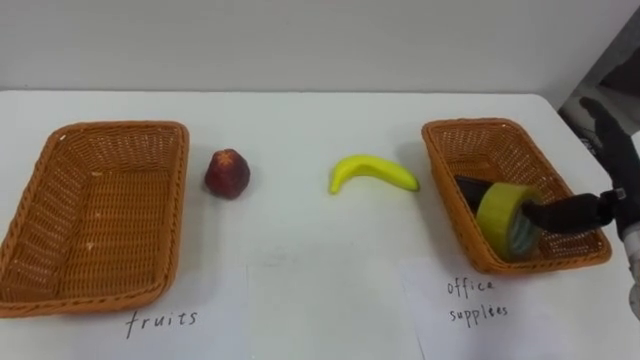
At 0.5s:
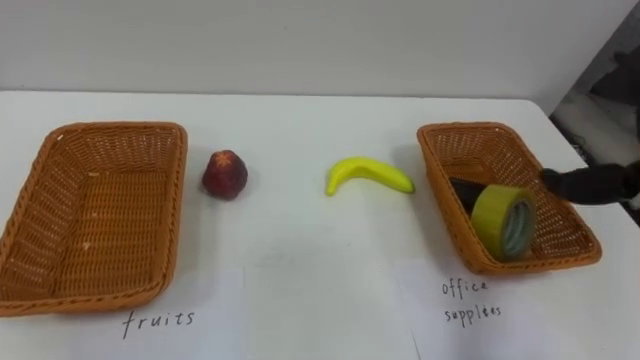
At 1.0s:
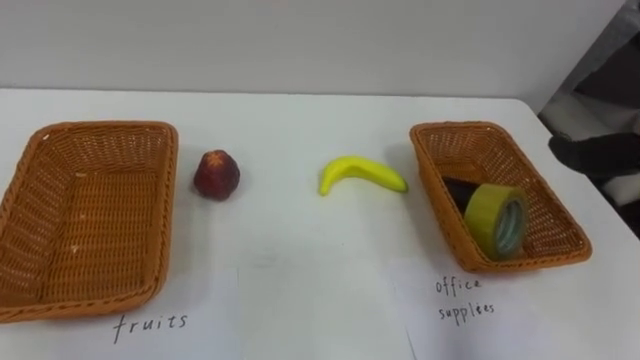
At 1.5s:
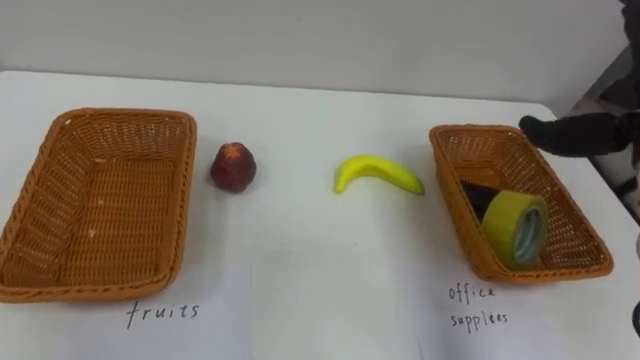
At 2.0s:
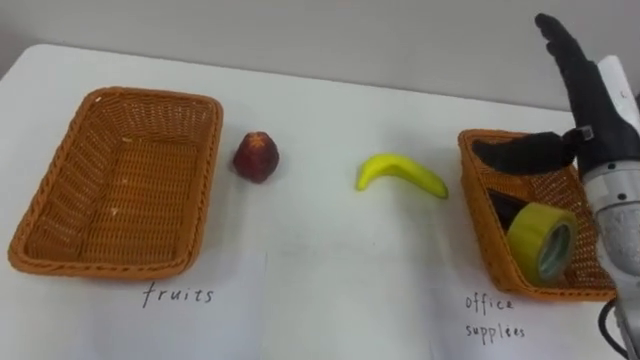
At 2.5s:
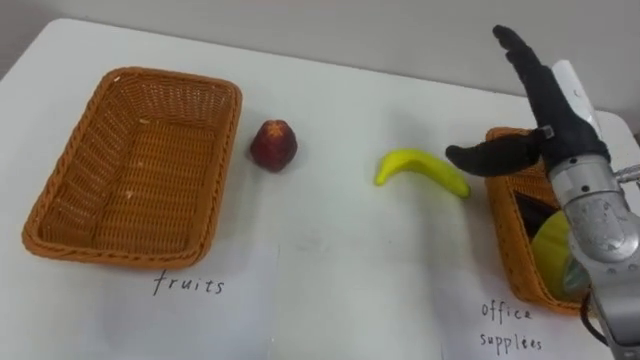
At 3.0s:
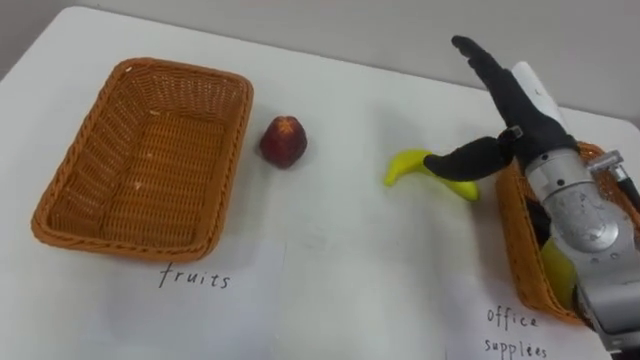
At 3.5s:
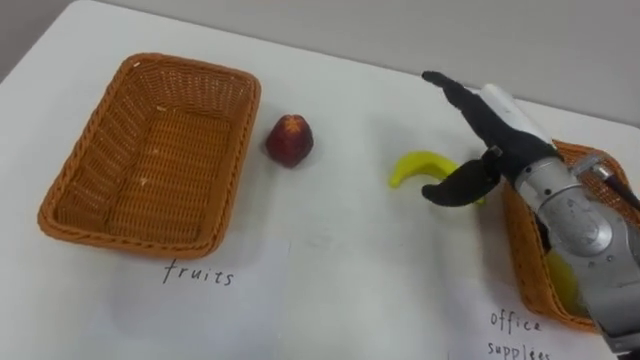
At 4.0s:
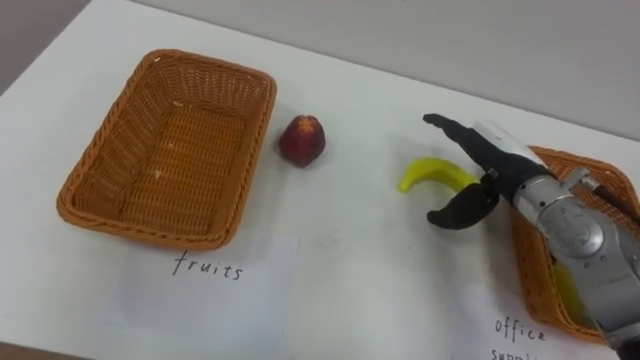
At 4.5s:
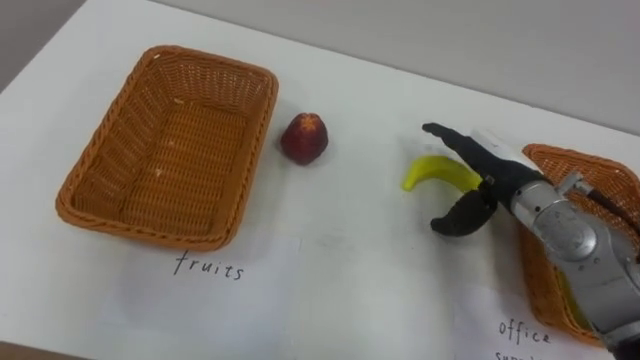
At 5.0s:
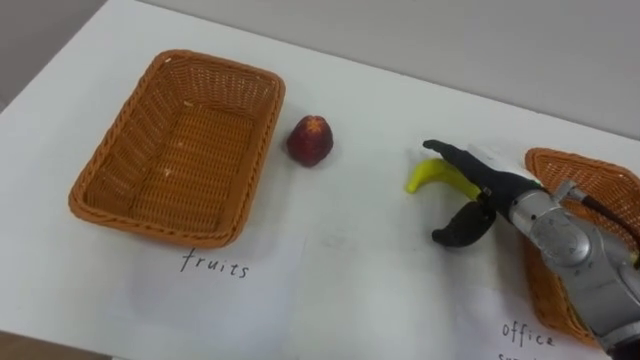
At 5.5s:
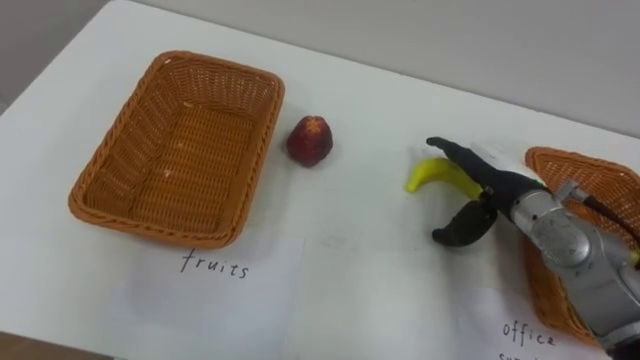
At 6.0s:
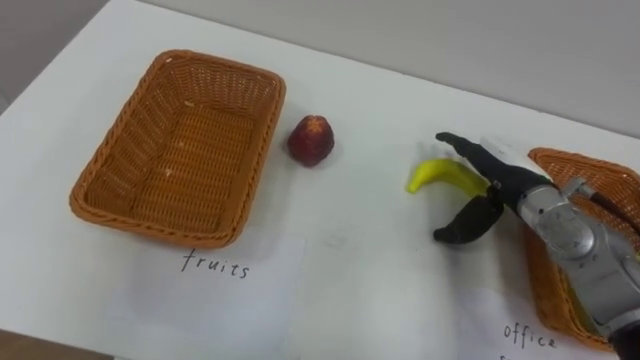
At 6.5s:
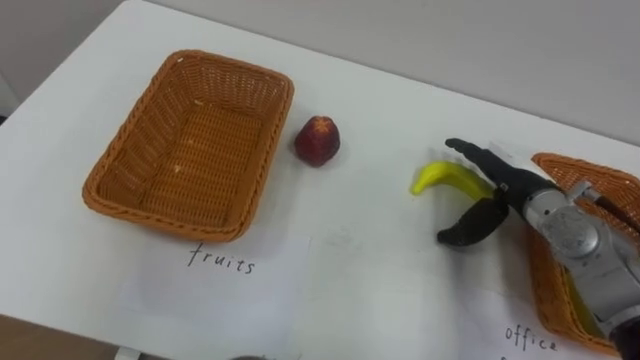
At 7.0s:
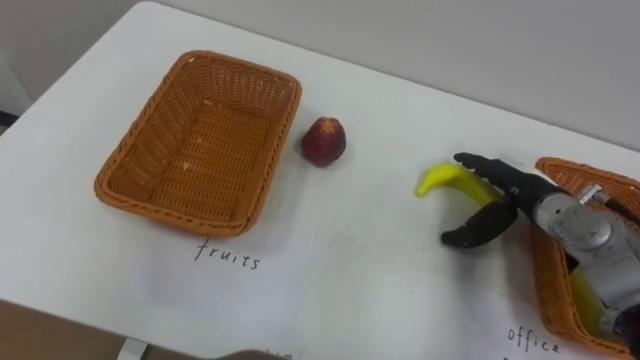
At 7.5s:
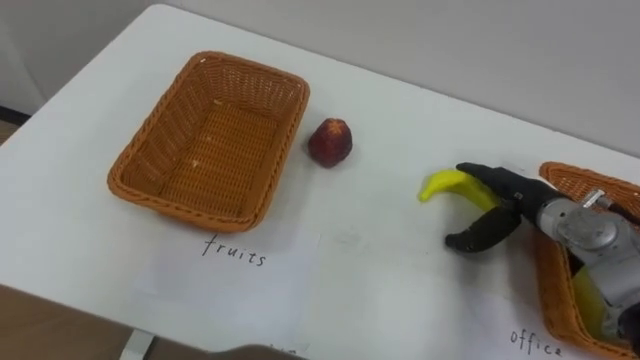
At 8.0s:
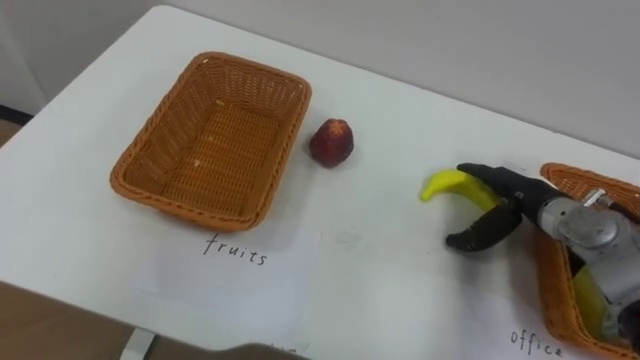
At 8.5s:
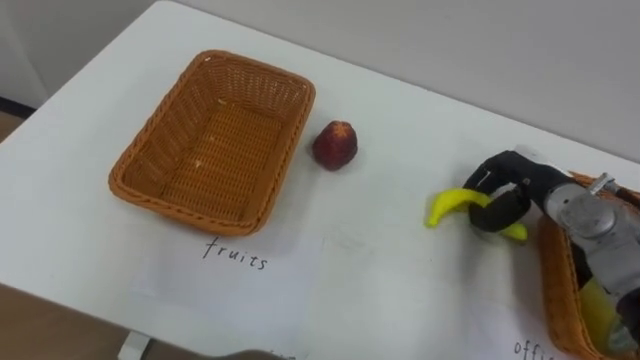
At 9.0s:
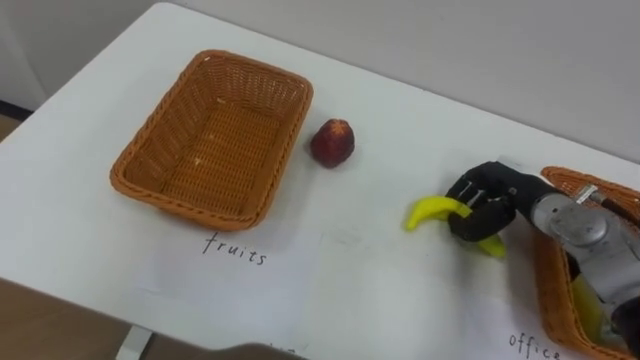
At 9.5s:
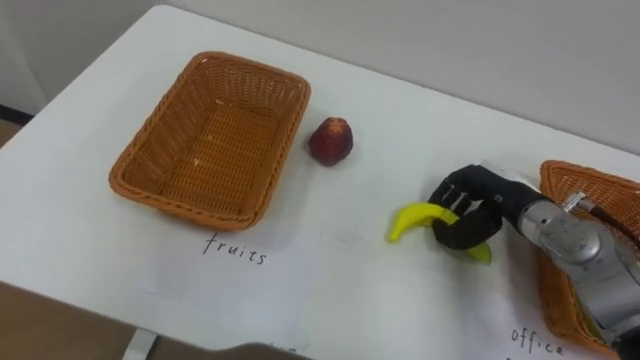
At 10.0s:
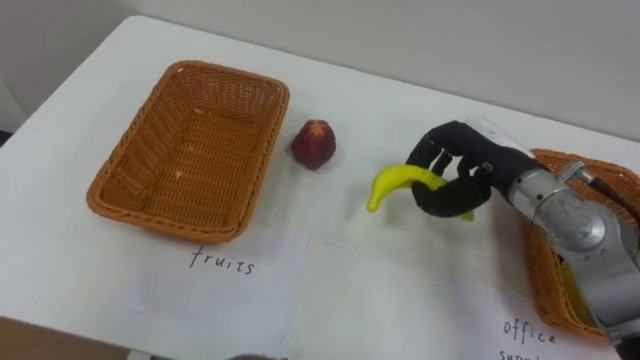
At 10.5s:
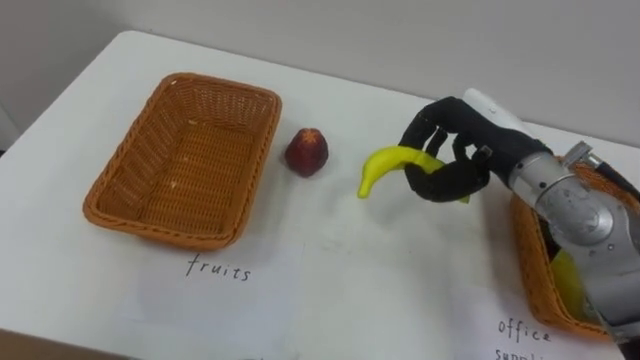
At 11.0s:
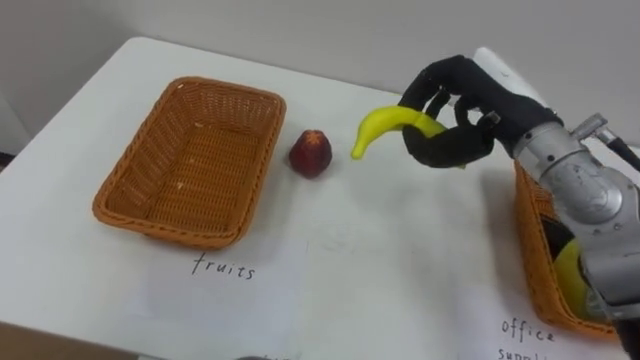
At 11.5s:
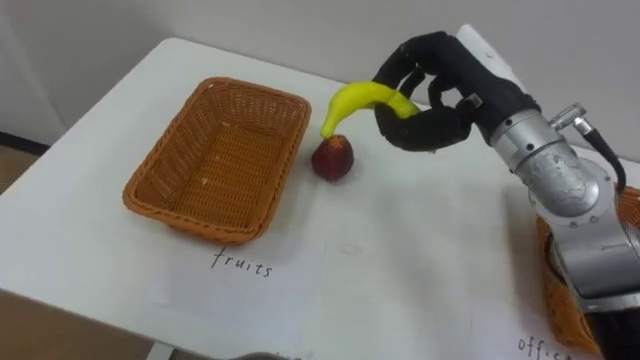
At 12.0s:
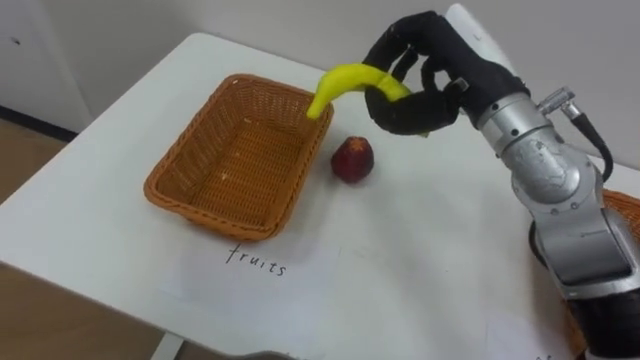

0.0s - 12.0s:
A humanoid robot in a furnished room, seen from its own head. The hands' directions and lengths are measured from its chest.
Task of the whole recording: Separate the items on the table and place them into the two baskets.
2.0s - 4.0s: The right hand travels downward and to the left by approximately 10 cm.
6.0s - 8.0s: The right hand travels downward by some 5 cm.
8.0s - 10.0s: The right hand goes approximately 10 cm upward and to the left, and closes up.
10.0s - 12.0s: The right hand shifts about 15 cm upward and to the left.

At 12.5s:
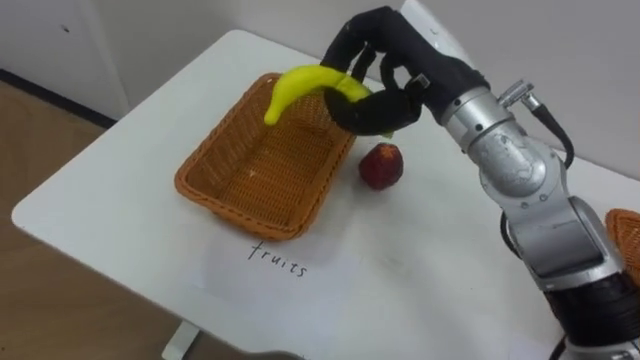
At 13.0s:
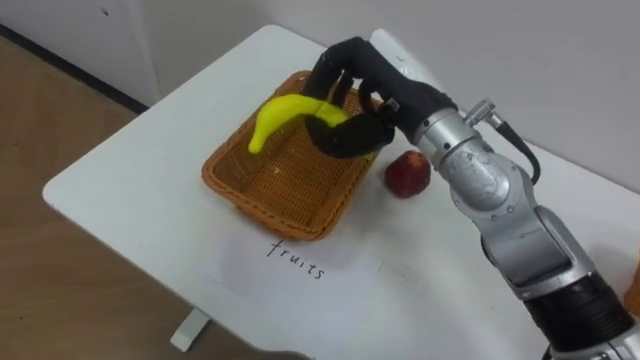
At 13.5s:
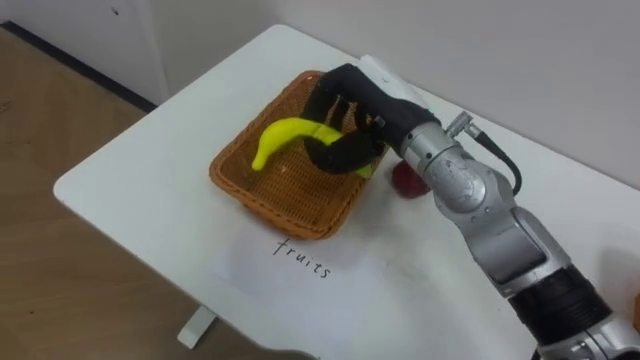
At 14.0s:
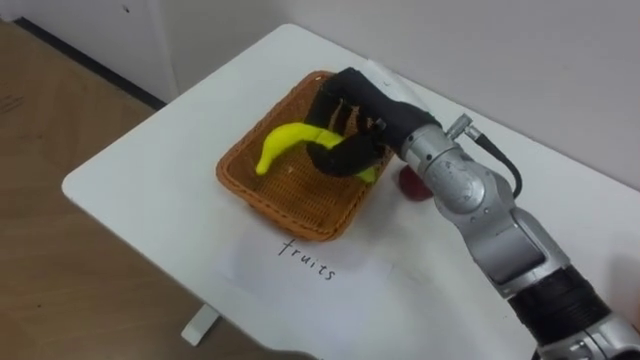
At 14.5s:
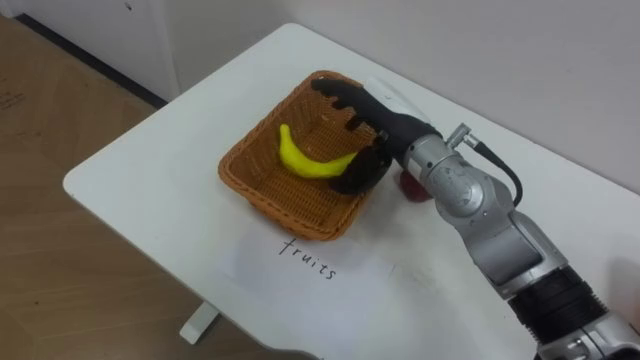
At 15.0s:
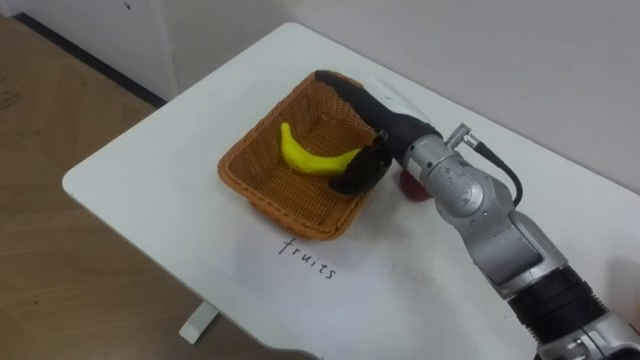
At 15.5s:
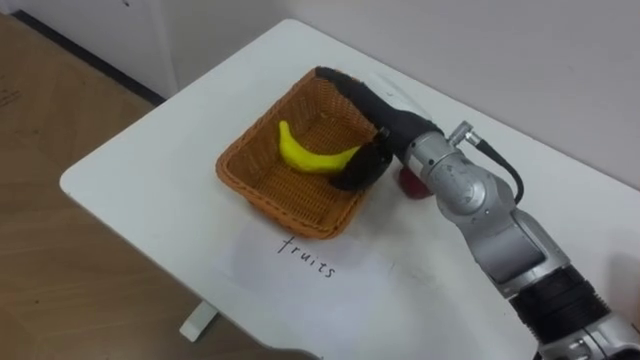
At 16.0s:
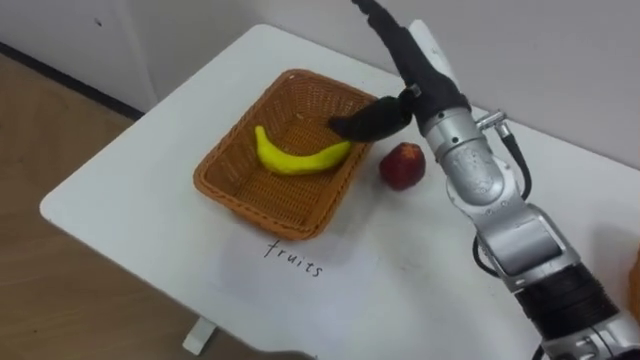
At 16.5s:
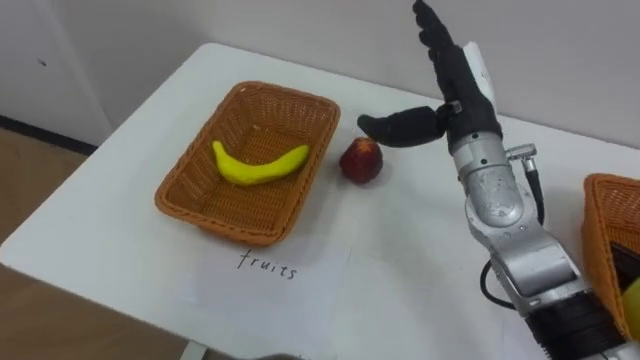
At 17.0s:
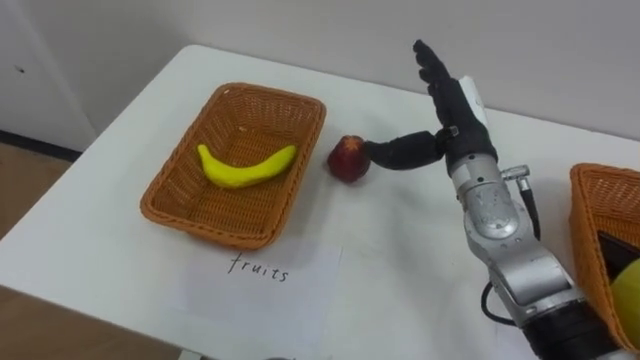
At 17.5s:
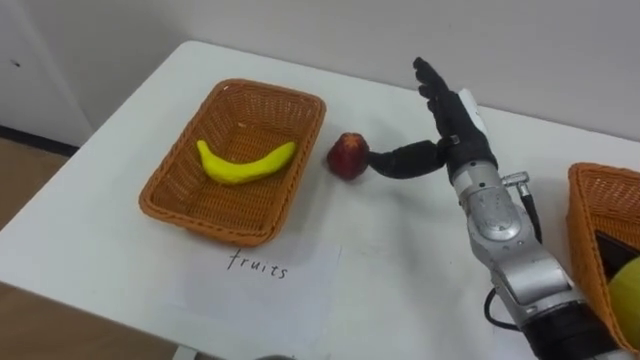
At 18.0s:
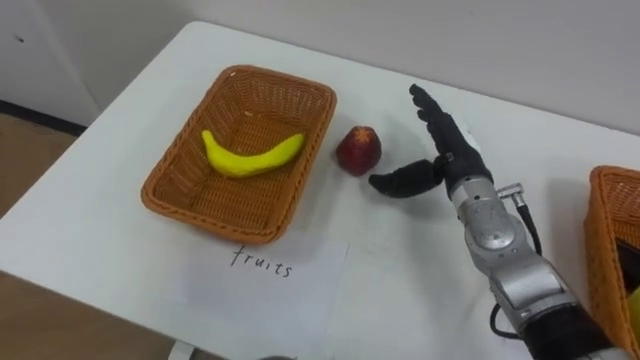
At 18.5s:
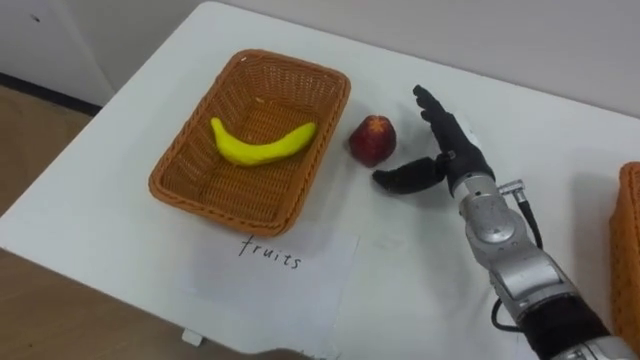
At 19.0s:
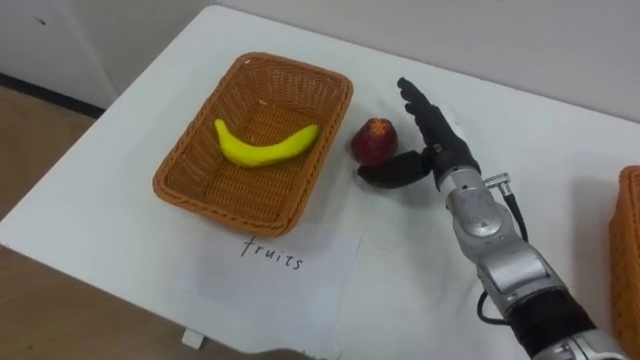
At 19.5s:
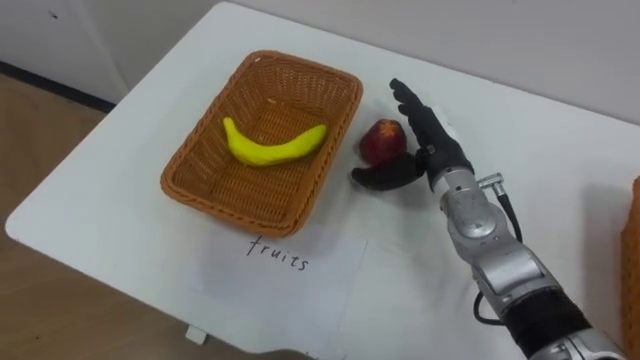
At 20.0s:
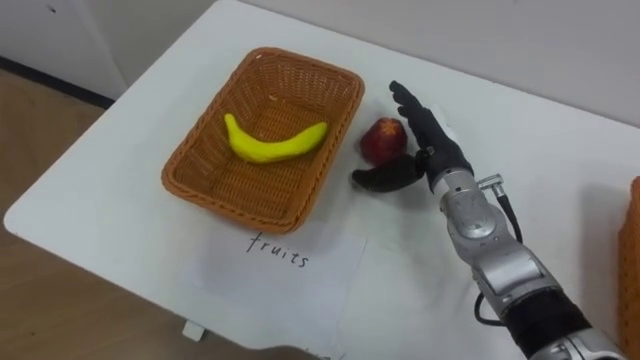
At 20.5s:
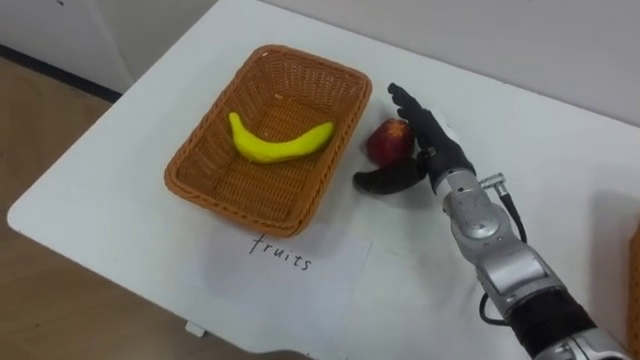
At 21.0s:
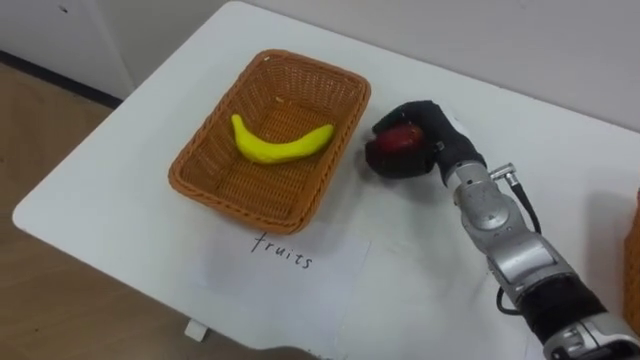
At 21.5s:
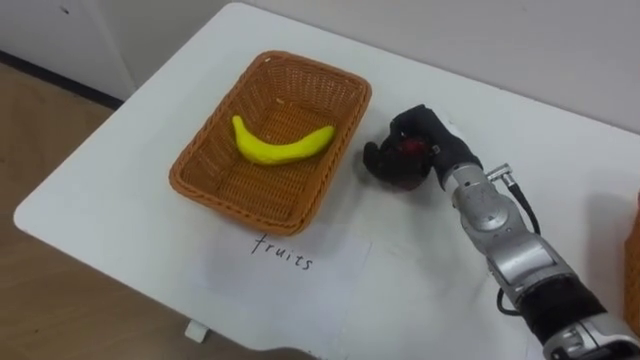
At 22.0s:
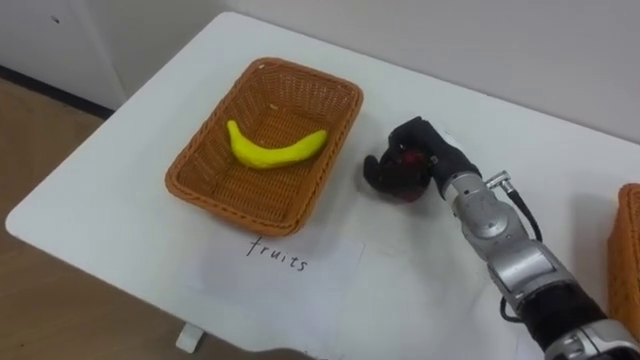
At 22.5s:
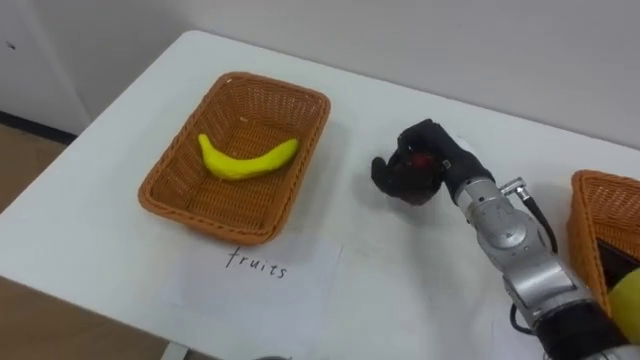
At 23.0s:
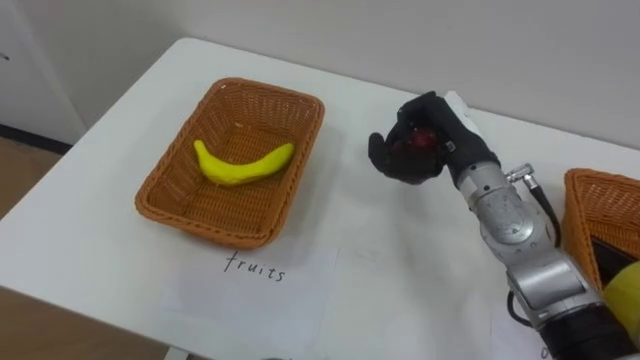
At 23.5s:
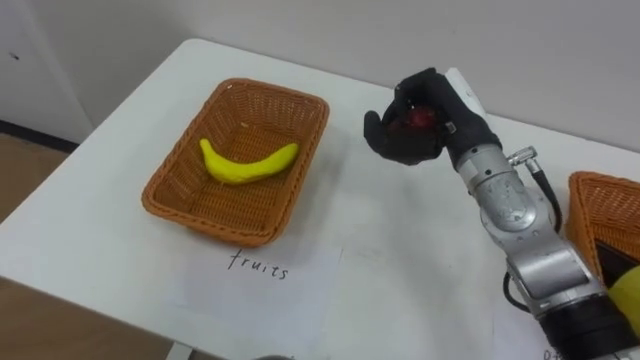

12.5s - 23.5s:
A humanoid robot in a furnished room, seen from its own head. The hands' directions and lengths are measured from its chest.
Task of the whole recording: Separate the items on the table and place them into the two baskets.
12.5s - 14.5s: The right hand heads downward, covering approximately 10 cm, and opens up.
14.5s - 16.0s: The right hand heads upward, covering roughly 5 cm.
16.0s - 18.0s: The right hand travels downward and to the right by roughly 15 cm.
20.0s - 21.5s: The right hand closes up.
21.5s - 23.5s: The right hand travels upward by about 5 cm.
